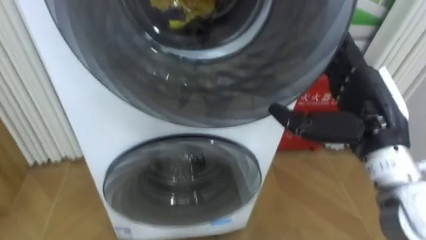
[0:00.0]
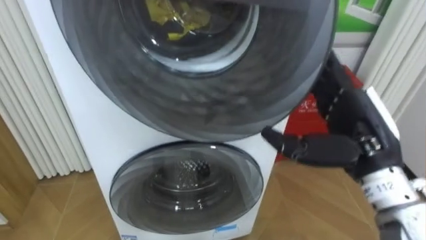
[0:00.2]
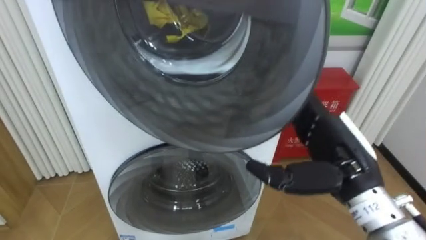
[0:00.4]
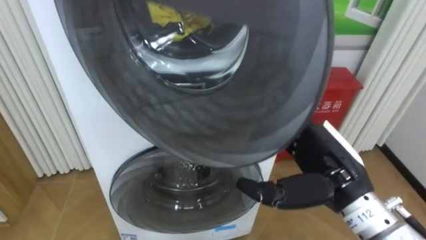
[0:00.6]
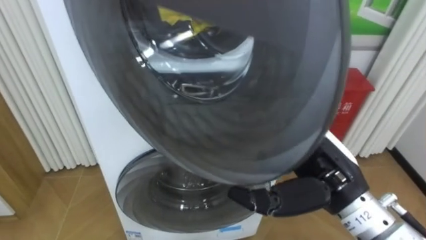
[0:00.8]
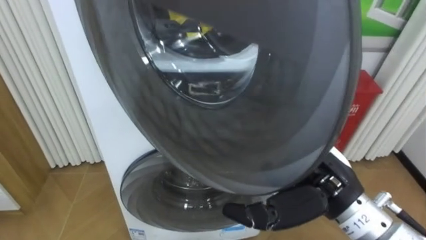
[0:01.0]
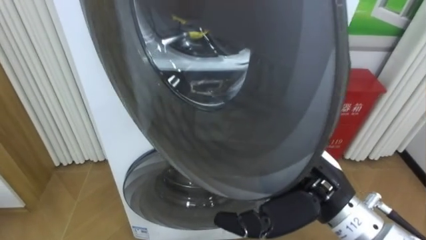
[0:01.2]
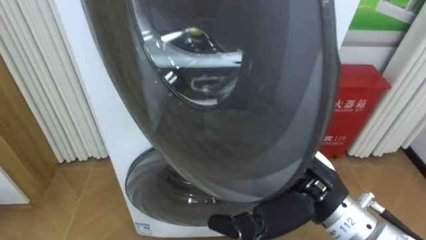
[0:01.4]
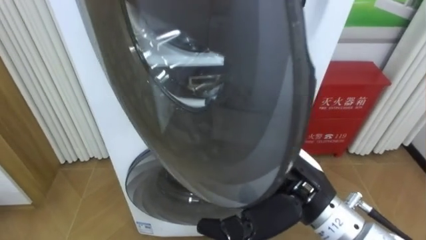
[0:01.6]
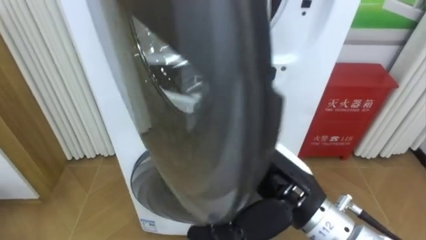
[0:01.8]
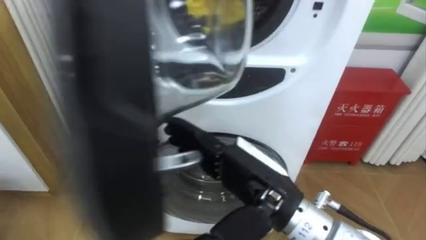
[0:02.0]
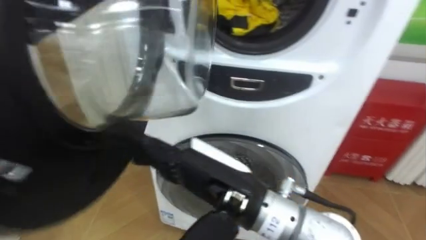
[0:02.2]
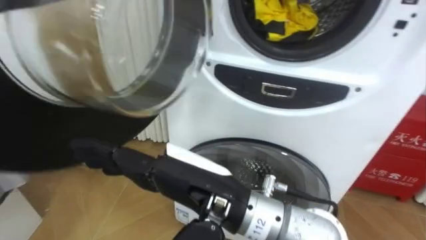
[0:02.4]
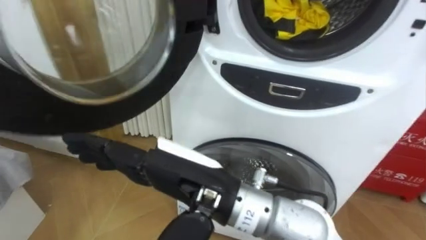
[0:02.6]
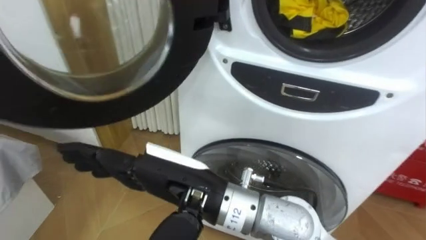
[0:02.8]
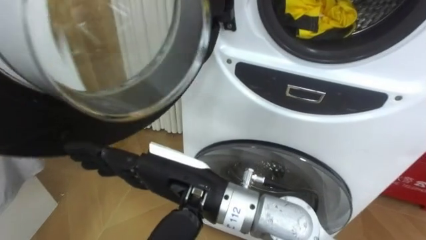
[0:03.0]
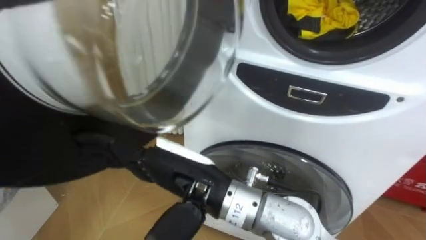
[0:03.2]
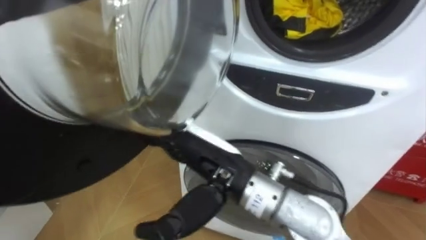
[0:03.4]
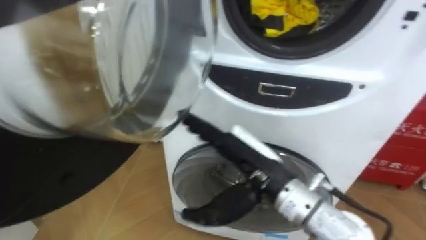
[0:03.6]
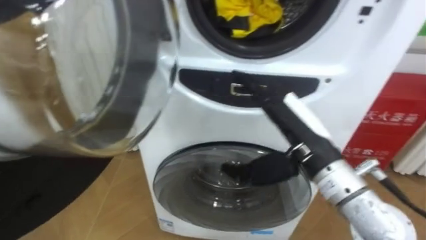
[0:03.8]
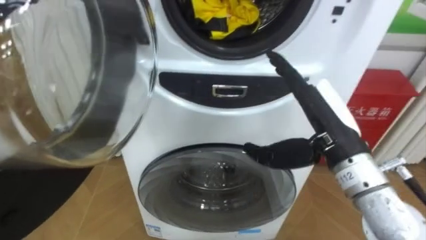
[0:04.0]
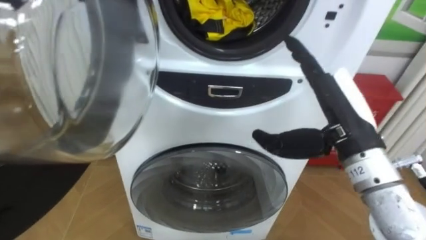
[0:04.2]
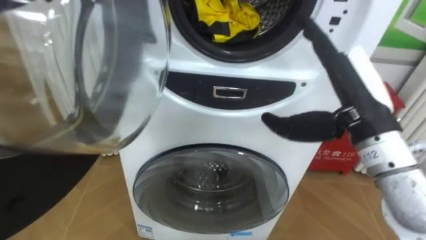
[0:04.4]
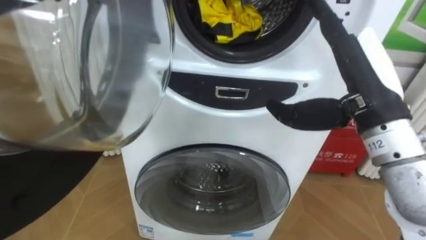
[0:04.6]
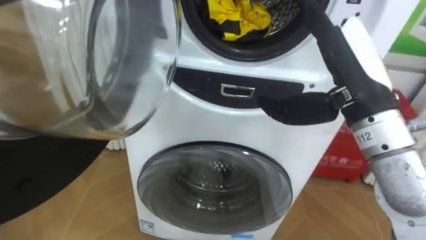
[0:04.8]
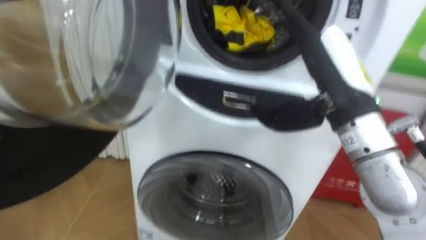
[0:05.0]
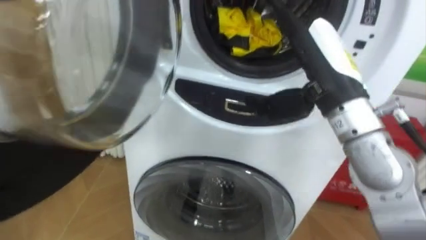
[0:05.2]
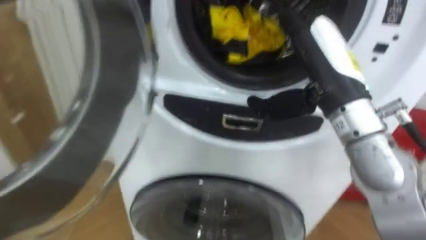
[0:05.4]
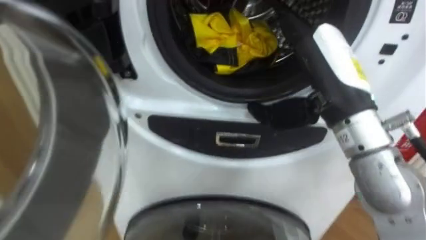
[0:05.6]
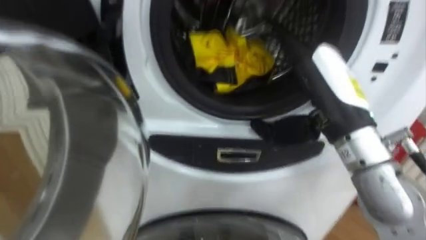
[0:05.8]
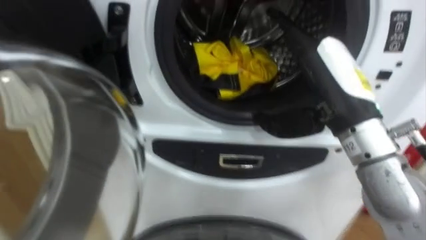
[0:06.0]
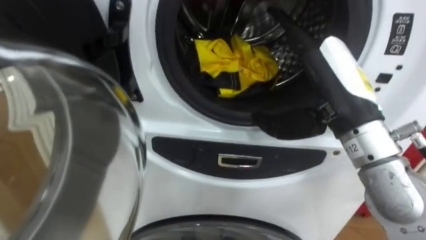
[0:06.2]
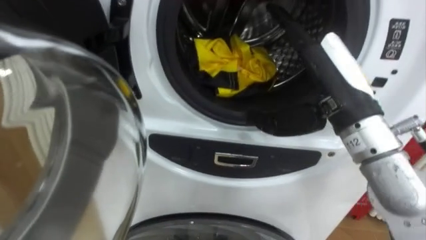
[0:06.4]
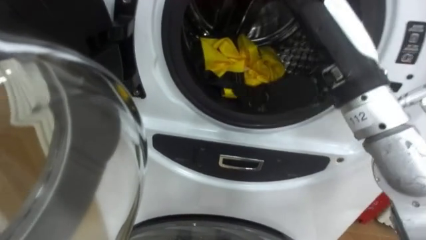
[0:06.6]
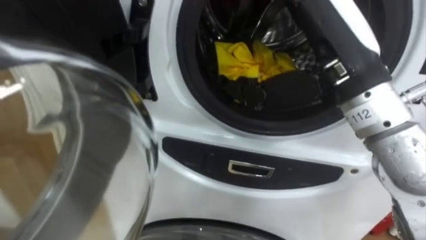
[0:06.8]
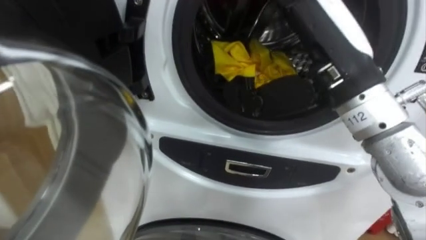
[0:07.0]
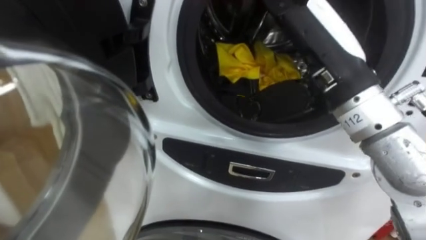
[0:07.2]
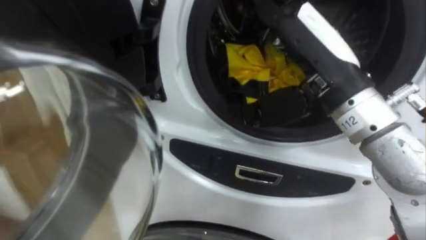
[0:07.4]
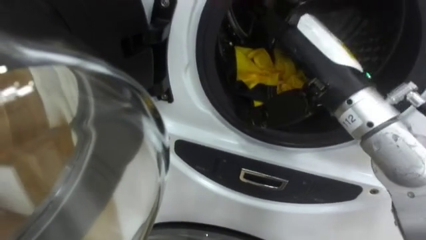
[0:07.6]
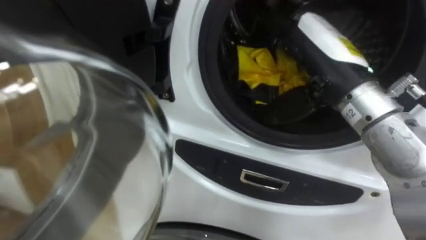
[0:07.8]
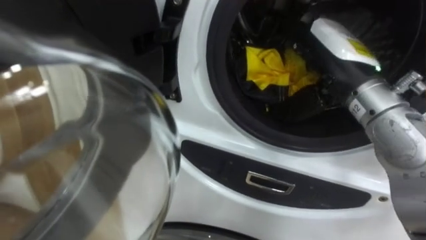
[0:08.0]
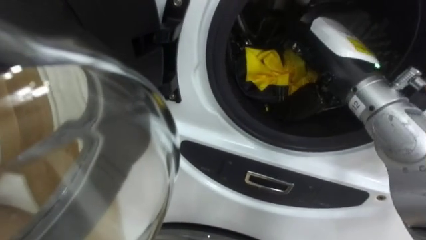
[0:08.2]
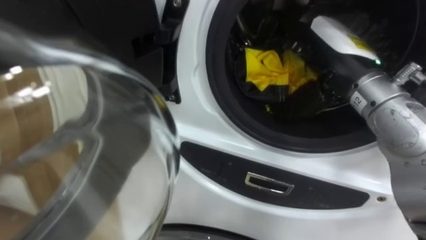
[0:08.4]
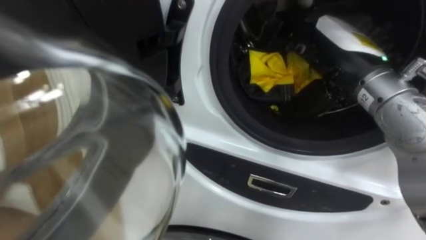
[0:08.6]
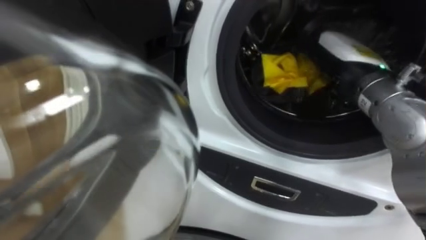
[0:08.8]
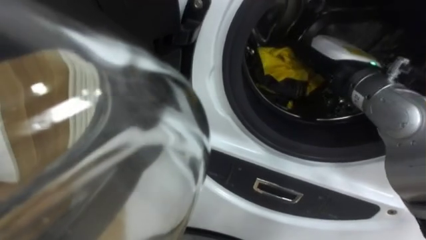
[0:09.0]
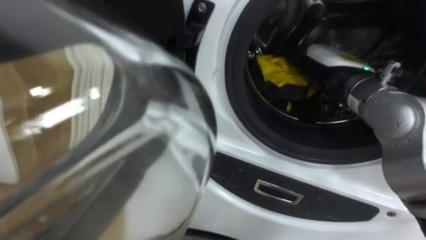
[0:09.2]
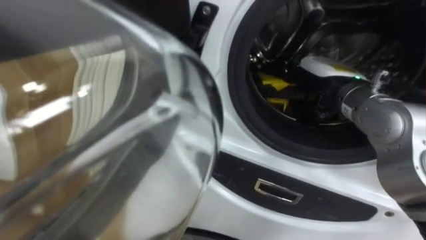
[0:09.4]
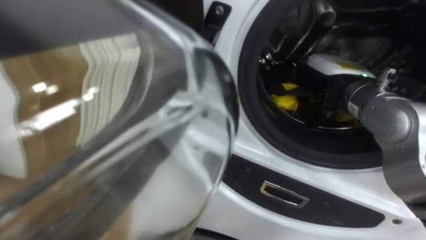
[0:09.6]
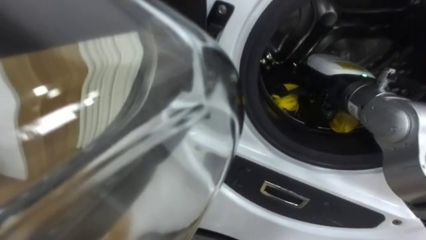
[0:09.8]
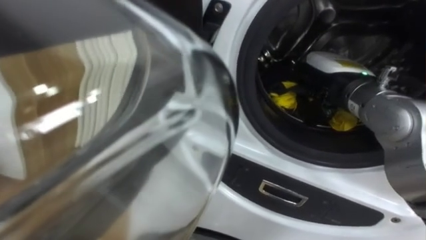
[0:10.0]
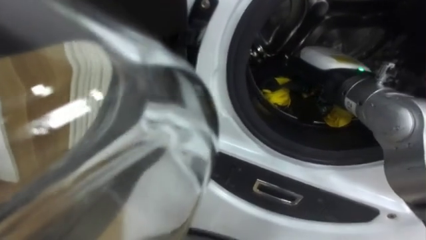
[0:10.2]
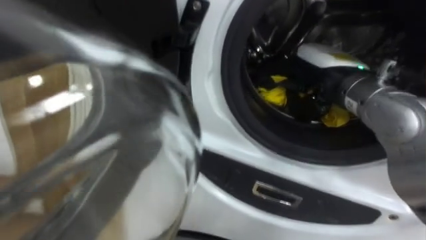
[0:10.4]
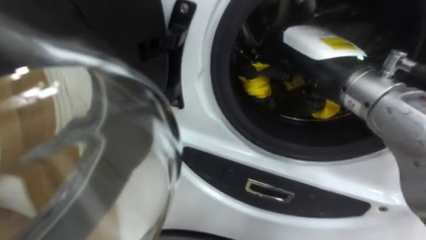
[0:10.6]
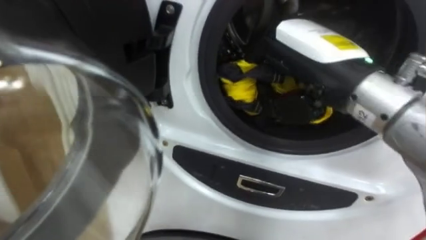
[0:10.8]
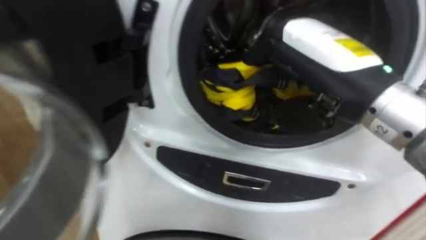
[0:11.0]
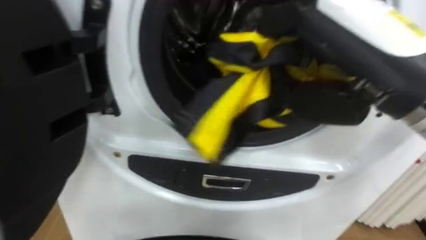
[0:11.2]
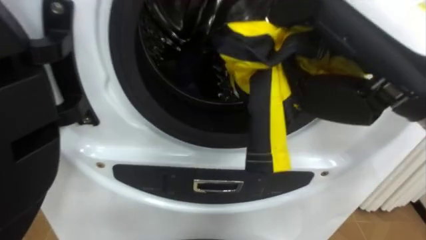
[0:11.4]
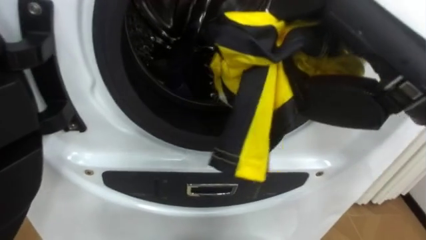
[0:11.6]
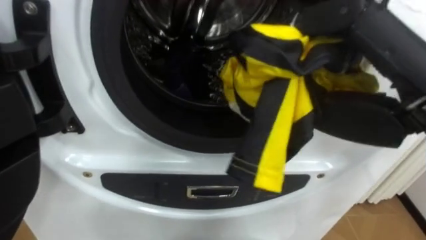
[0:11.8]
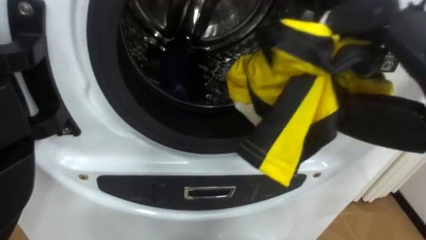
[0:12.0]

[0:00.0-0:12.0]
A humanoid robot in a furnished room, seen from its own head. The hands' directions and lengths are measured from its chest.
Task of the whole recording: Open the washing machine door, take out the yellow clothes, place them in the box on the right, and close the washing machine door.
0:00.0 to 0:01.6: The right hand travels to the left and backward by approximately 10 cm.
0:01.6 to 0:03.0: The right hand is displaced to the left by approximately 15 cm.
0:03.0 to 0:04.4: The right hand goes about 20 cm to the right.
0:07.6 to 0:09.0: The right hand goes roughly 5 cm forward.
0:09.0 to 0:10.4: The right hand closes up.
0:10.4 to 0:12.0: The right hand heads backward and upward, covering about 20 cm.

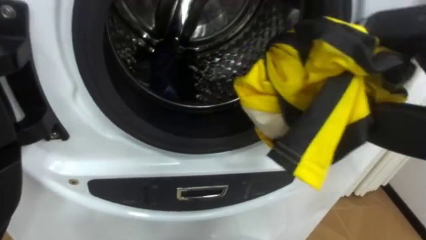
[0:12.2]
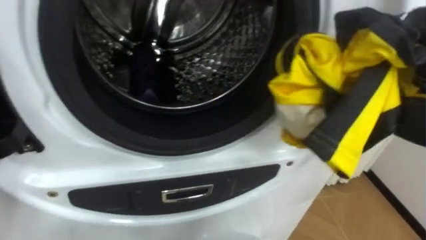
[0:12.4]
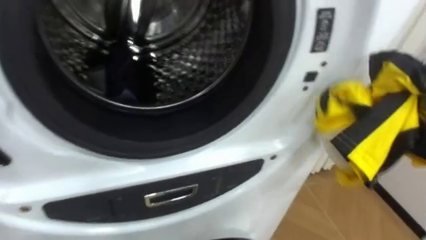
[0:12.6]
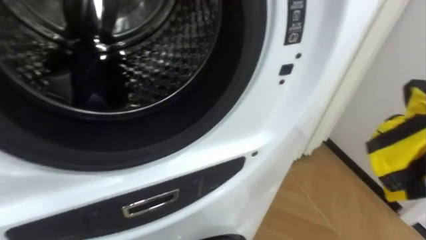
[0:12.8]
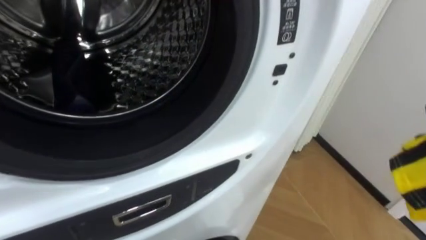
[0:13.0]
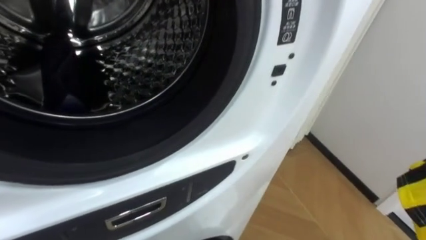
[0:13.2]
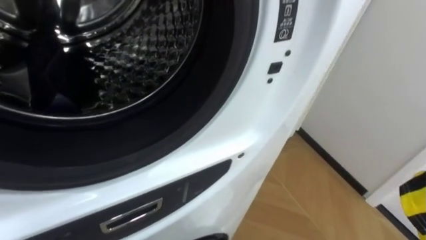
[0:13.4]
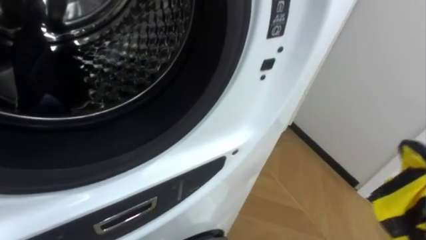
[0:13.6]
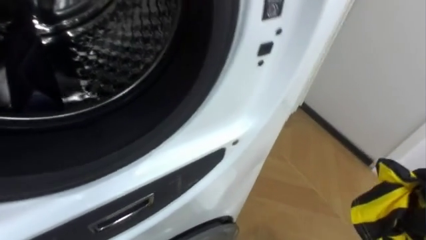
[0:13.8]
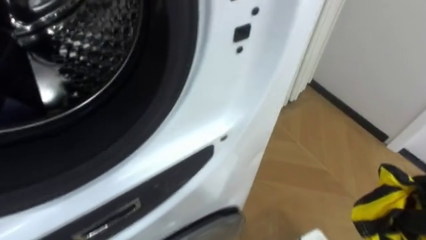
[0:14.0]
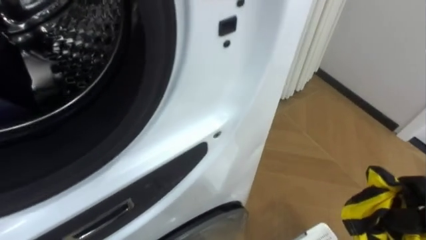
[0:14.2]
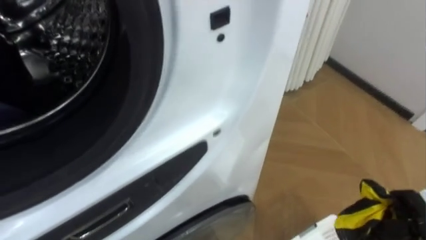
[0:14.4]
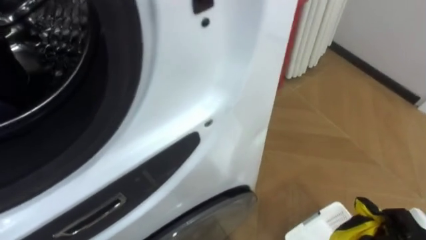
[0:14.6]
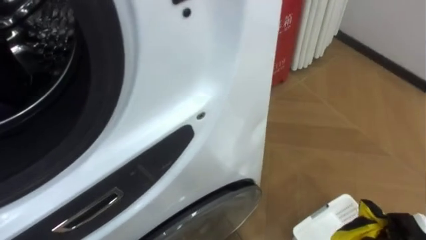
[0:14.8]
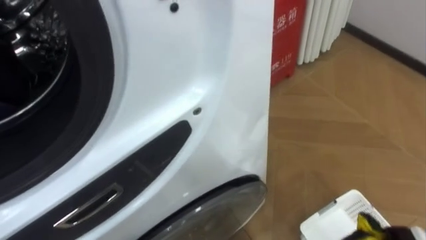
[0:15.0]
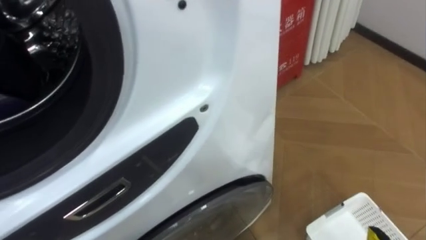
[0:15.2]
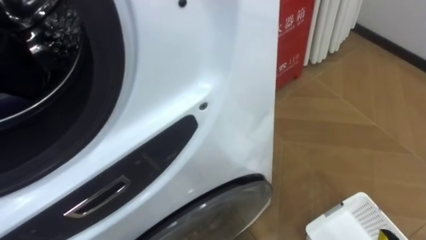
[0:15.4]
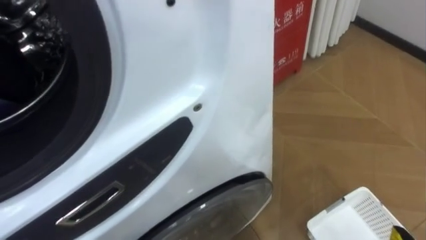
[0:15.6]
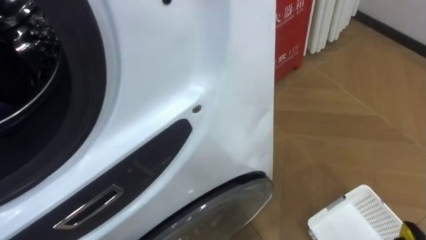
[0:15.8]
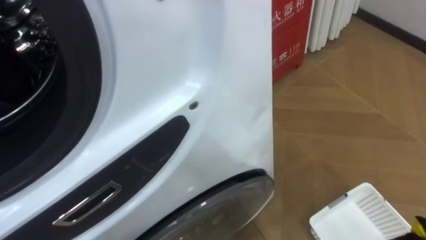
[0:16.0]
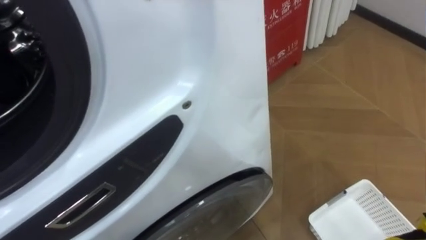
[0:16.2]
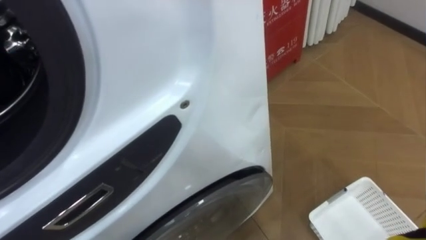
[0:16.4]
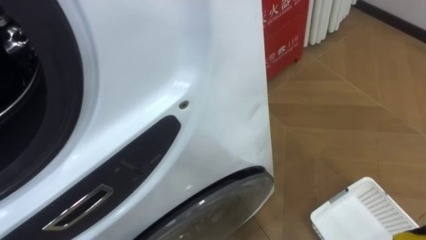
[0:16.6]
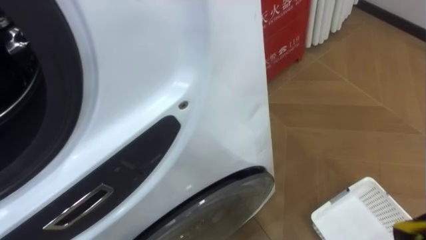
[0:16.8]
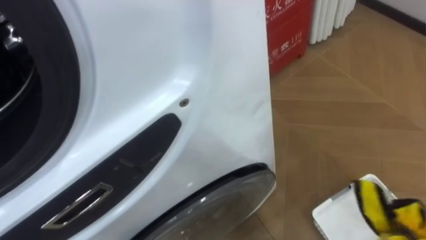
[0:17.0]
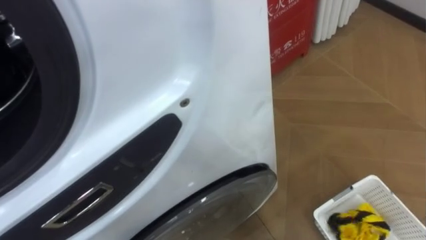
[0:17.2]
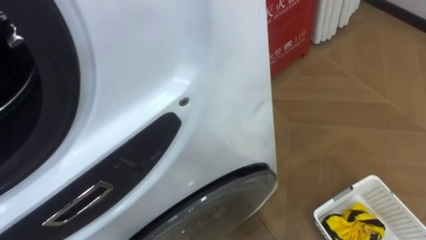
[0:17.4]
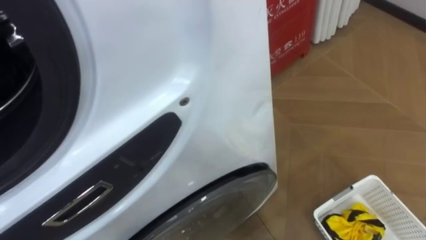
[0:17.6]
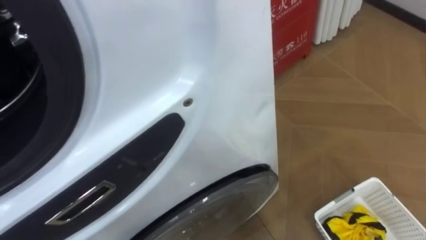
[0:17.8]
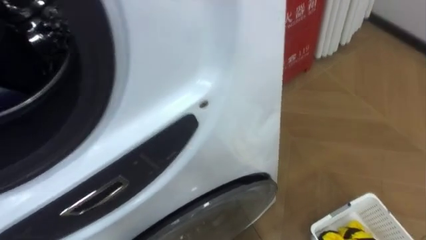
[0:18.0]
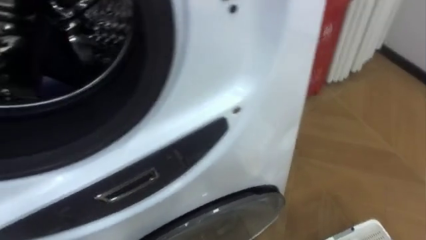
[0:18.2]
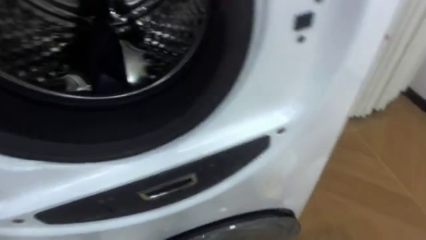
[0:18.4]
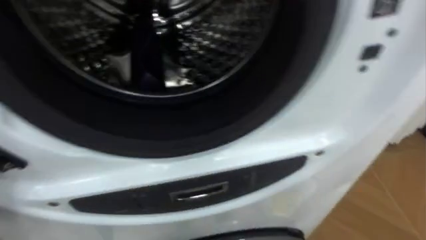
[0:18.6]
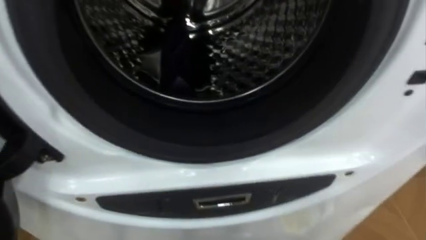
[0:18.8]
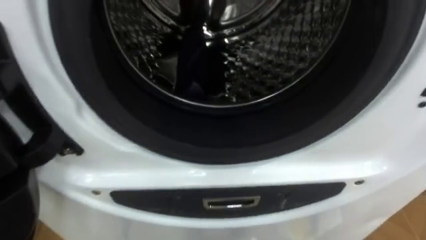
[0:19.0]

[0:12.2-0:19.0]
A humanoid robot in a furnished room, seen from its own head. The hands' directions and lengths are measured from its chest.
Task of the whole recording: Open the washing machine door, take out the yellow clothes, place them in the box on the right, and close the washing machine door.
0:17.6 to 0:19.0: The robot rotates roughly 20 degrees to its left.
